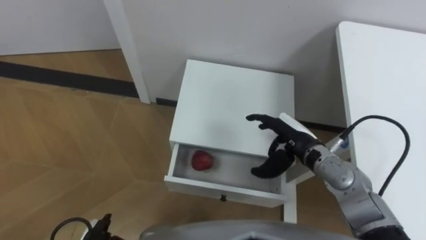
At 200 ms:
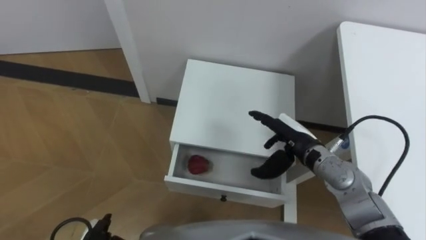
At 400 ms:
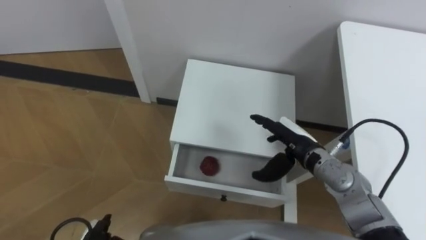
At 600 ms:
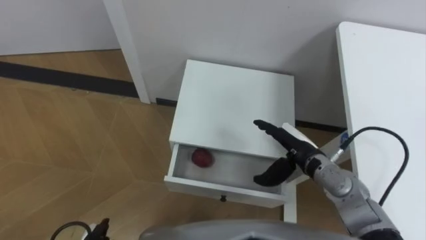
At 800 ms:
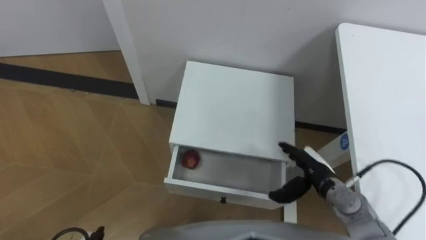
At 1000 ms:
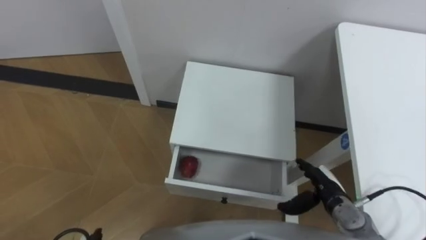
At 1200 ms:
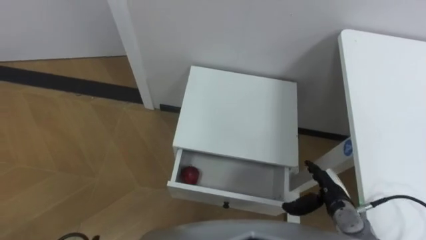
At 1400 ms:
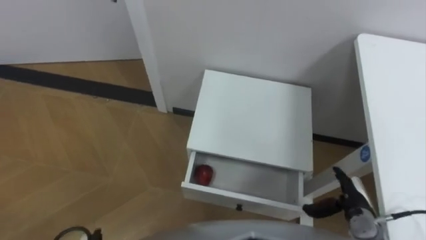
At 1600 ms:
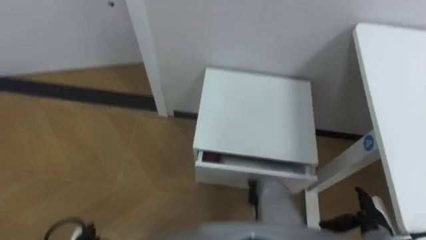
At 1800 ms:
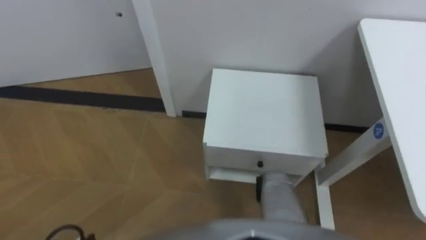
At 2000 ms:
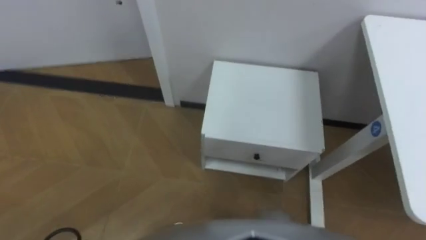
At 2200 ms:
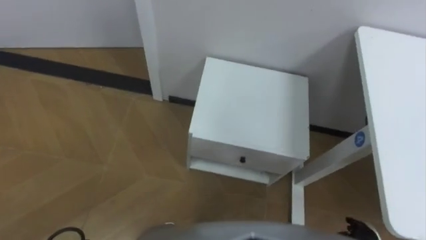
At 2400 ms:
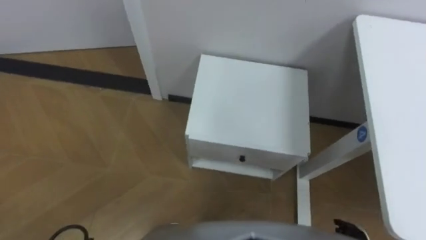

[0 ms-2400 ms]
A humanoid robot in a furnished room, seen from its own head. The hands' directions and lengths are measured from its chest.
Task of the whole recording: Pick up the apple from the table, put it in the drawer, and close the drawer with leg.
0 ms to 1200 ms: The right hand goes roughly 20 cm downward, backward and to the right.

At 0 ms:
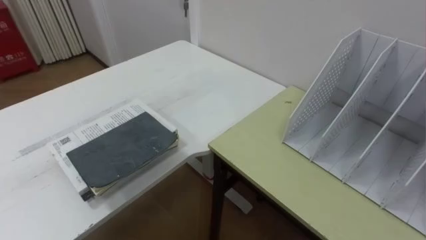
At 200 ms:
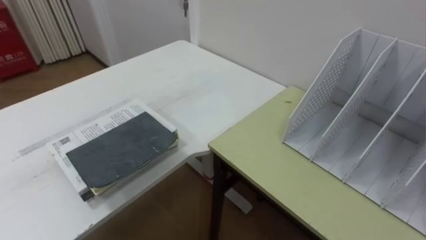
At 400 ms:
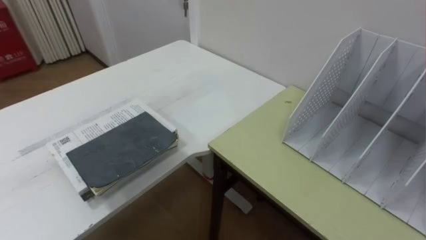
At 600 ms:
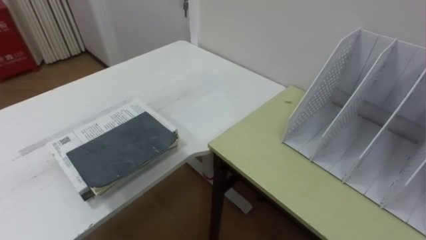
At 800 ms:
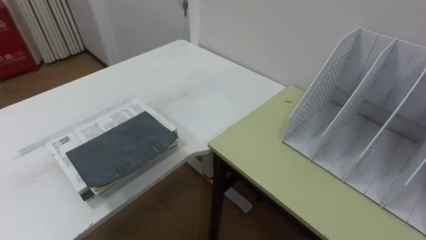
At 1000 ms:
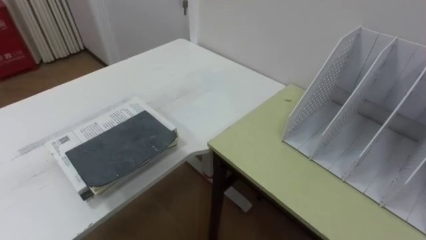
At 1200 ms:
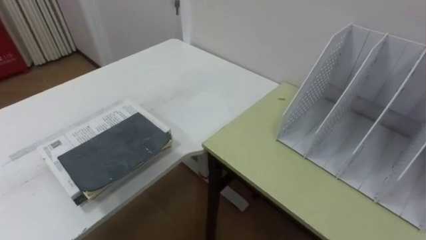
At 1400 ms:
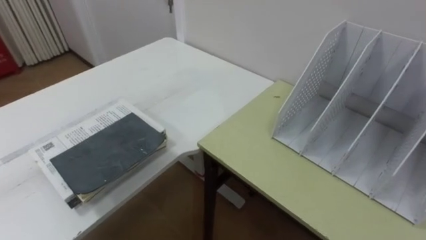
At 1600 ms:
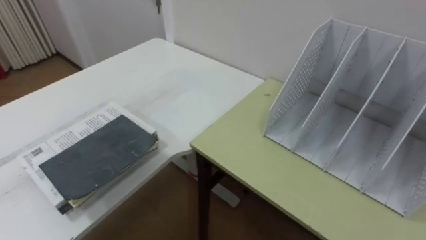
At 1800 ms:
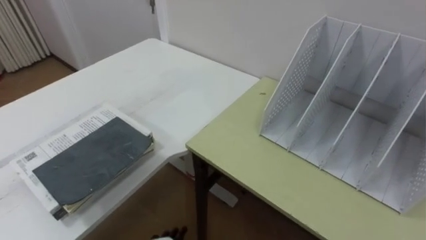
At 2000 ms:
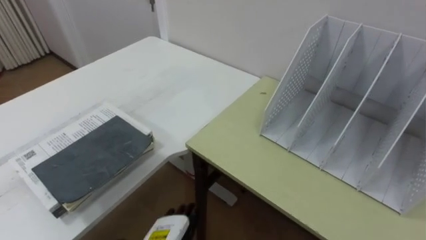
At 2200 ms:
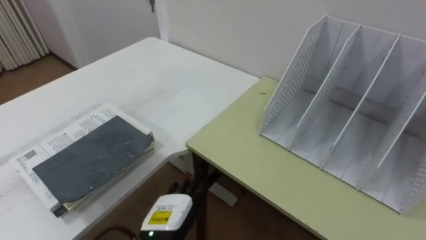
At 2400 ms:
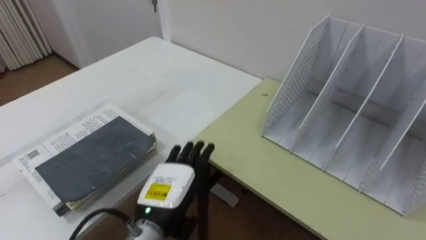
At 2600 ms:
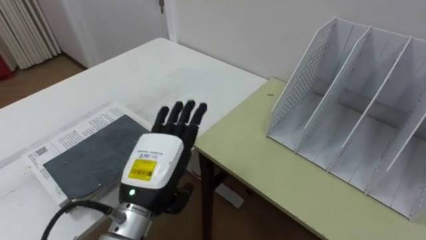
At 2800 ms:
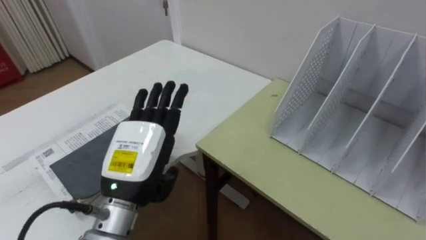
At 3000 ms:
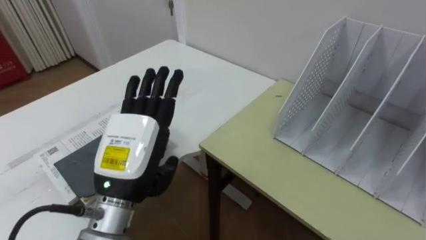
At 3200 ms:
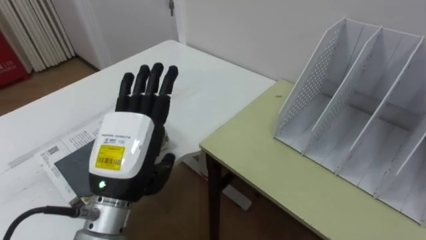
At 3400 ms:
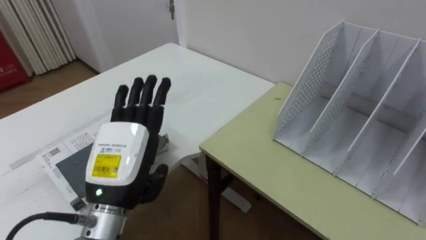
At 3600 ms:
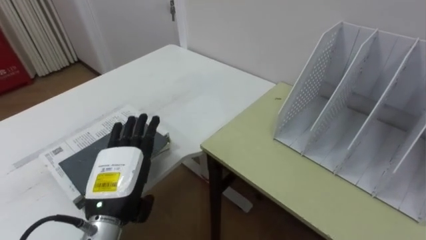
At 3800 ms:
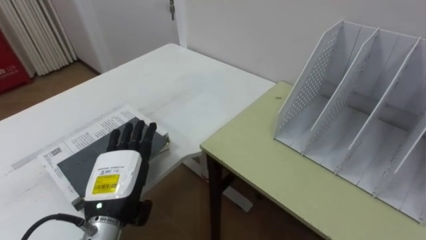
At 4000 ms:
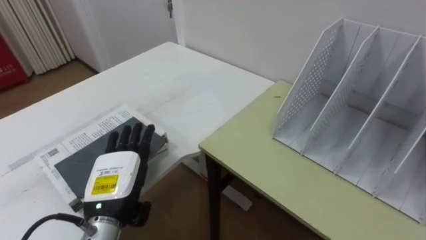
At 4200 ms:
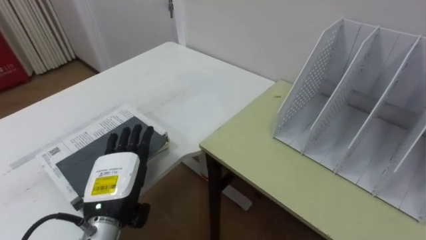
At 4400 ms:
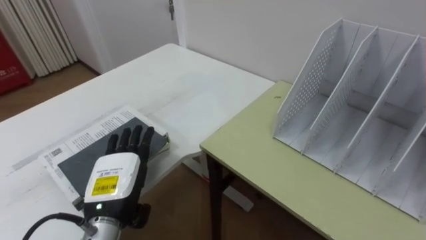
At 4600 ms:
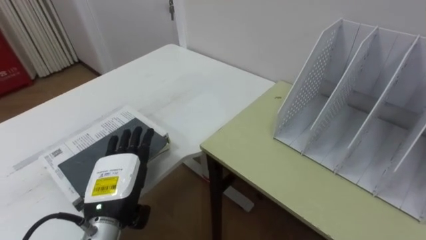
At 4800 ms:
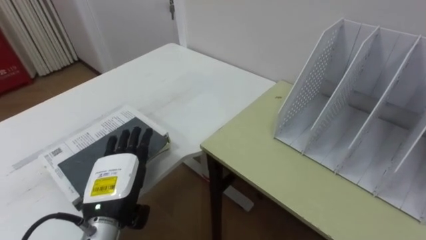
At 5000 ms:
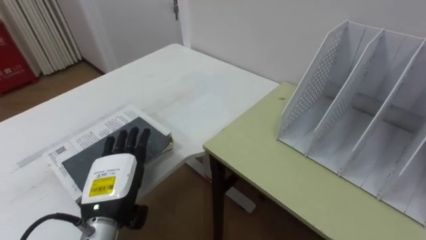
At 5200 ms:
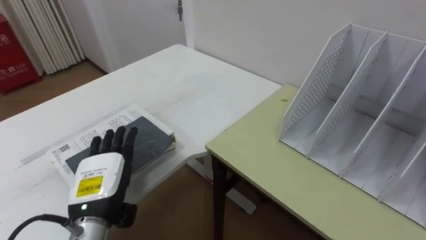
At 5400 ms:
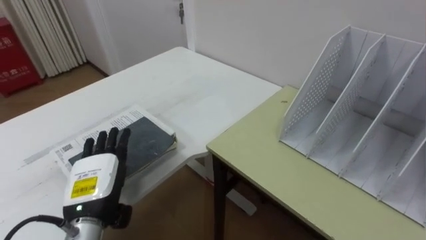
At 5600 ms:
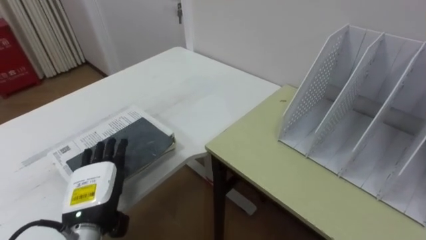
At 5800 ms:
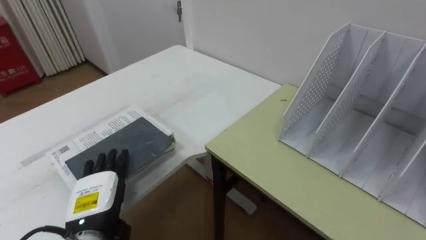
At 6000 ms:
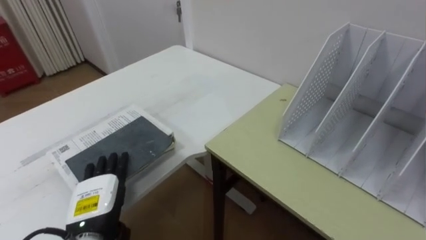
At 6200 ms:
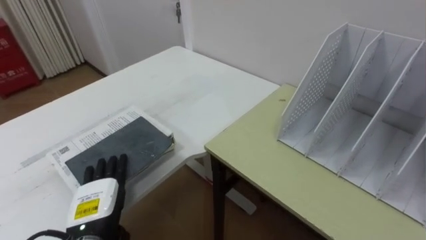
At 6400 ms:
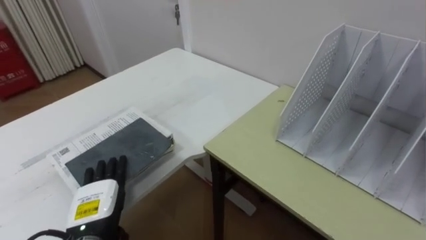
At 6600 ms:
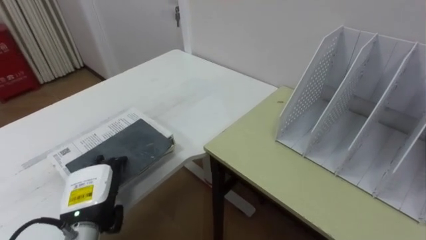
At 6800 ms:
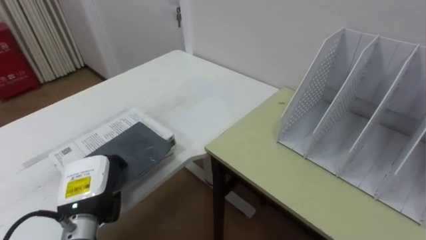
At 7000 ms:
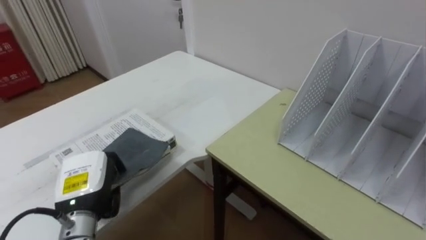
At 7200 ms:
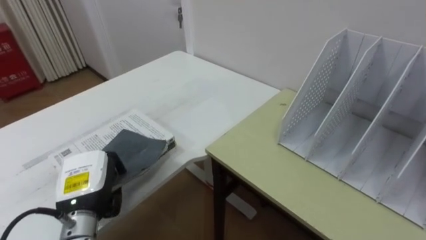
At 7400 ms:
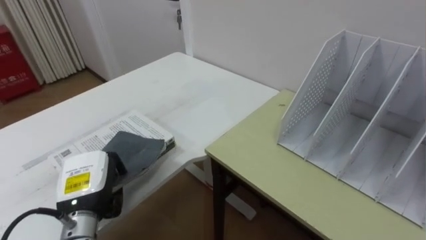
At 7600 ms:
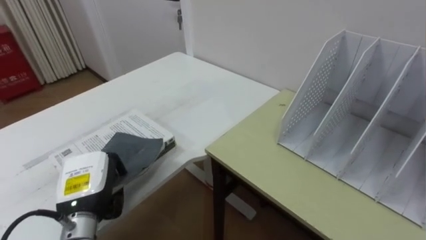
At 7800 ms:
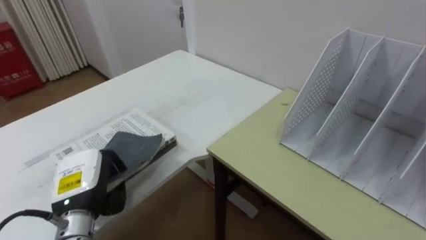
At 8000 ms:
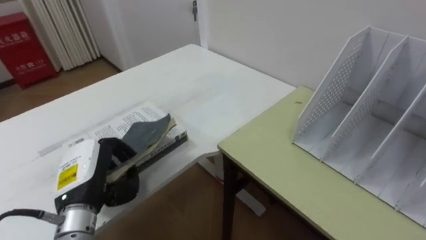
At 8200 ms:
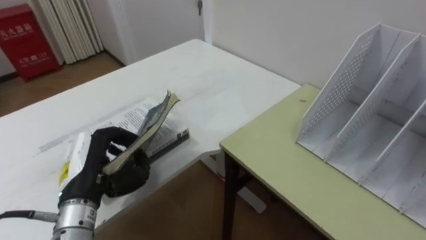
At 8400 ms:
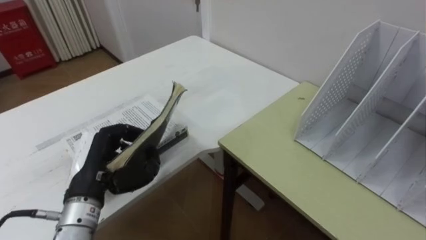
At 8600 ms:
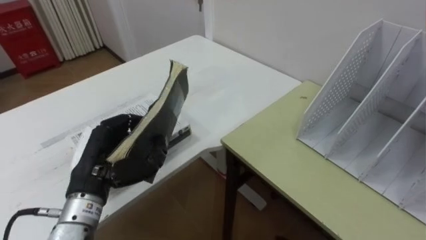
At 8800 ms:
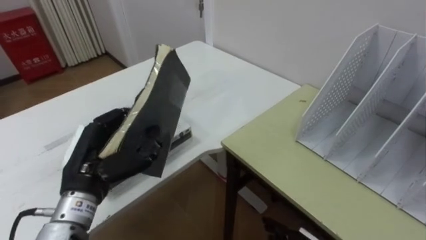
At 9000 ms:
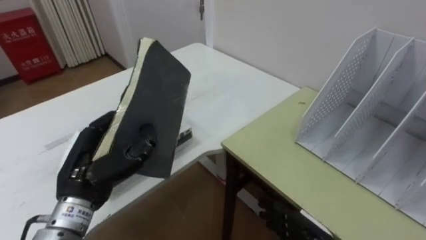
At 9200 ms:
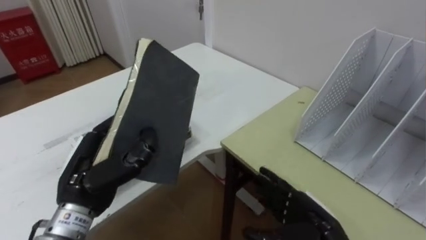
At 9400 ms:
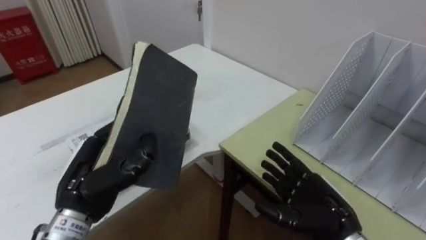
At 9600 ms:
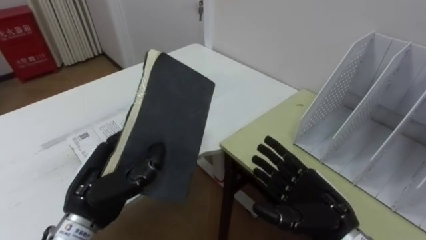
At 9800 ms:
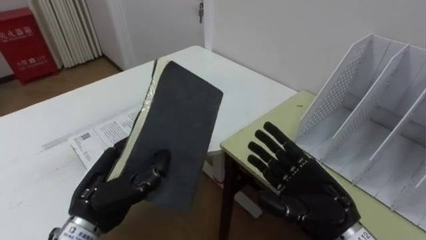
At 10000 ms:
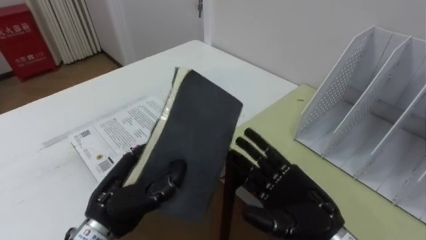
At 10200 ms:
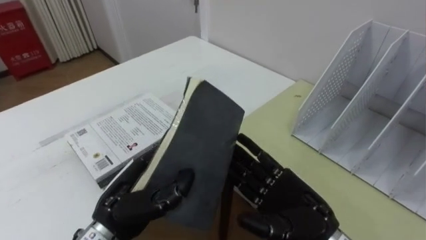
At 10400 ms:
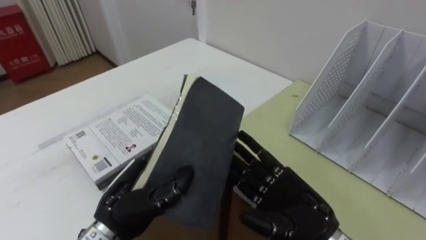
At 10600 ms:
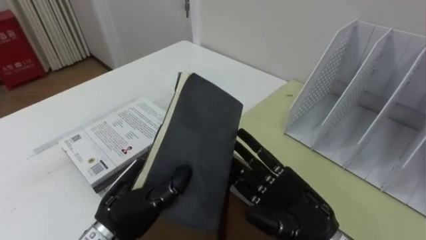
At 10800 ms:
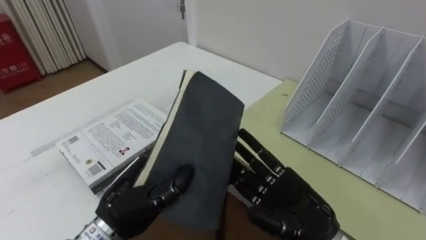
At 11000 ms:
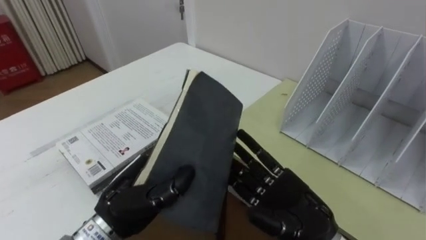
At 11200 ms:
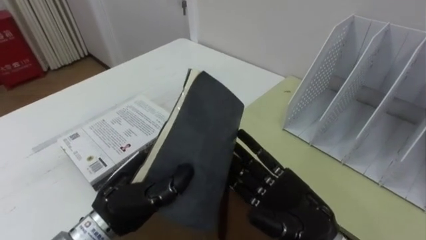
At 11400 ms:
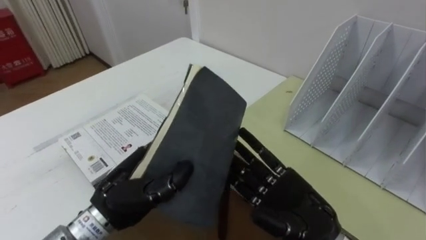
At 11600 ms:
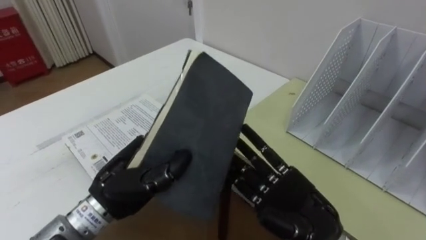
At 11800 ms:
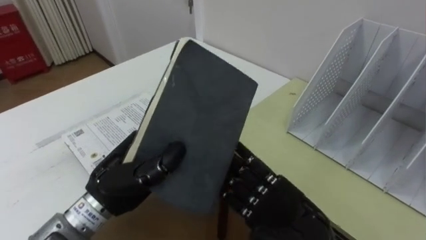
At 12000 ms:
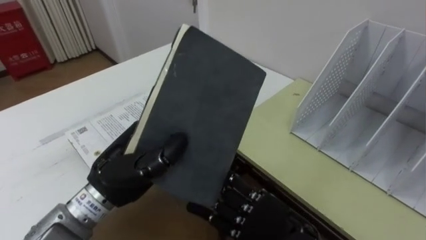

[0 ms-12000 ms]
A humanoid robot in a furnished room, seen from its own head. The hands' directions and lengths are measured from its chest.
Task of the whole recording: Put the books on the table onto the bookshelf.
3000 ms to 4400 ms: The left hand goes approximately 10 cm downward.
4400 ms to 6000 ms: The left hand changes place by some 5 cm.
6000 ms to 7600 ms: The left hand closes.
7600 ms to 9000 ms: The left hand goes about 5 cm upward.
9000 ms to 10400 ms: The right hand shifts approximately 10 cm upward. Meanwhile the left hand goes approximately 5 cm to the right.
10400 ms to 12000 ms: The left hand shifts some 5 cm upward. Meanwhile the right hand changes place by about 5 cm.

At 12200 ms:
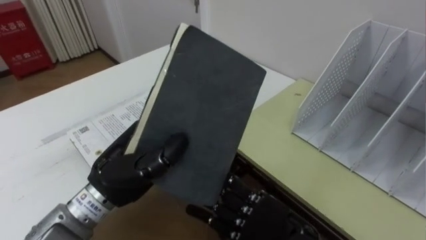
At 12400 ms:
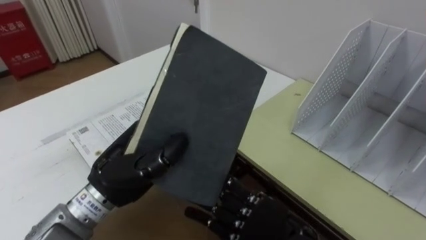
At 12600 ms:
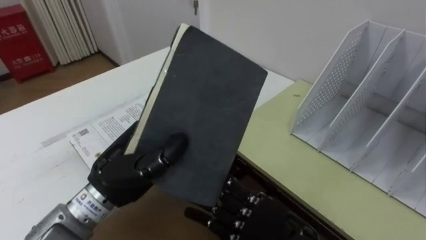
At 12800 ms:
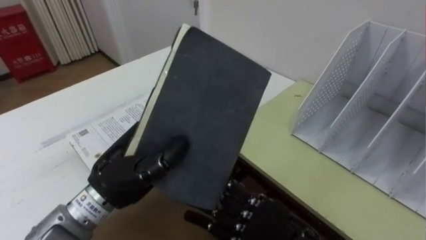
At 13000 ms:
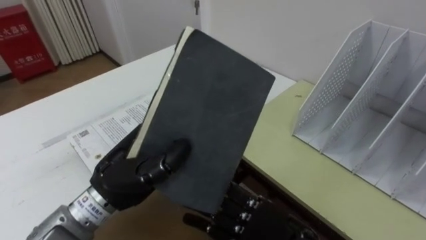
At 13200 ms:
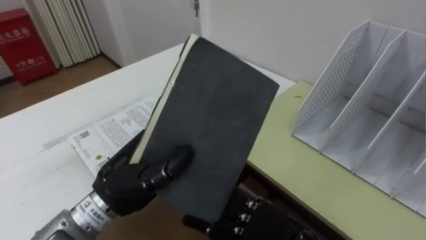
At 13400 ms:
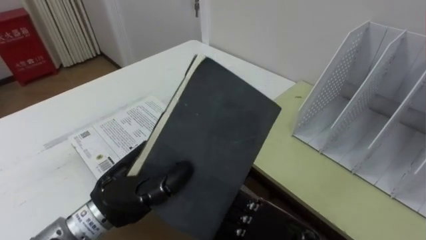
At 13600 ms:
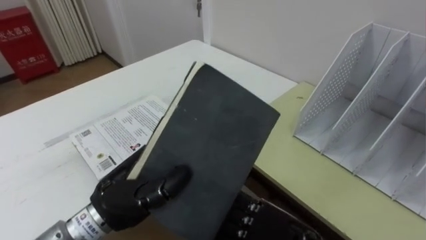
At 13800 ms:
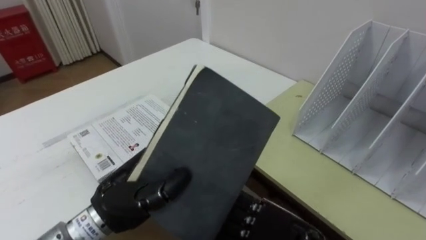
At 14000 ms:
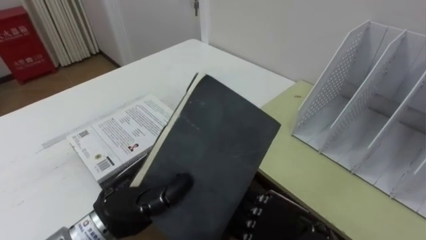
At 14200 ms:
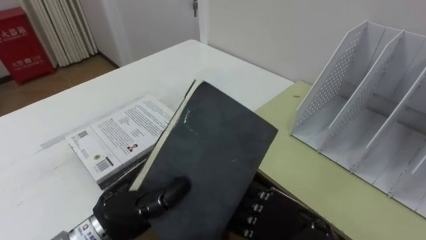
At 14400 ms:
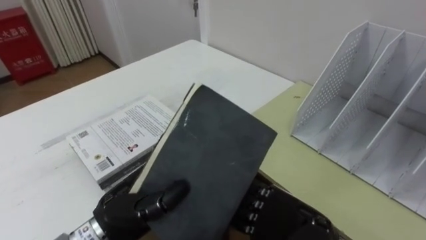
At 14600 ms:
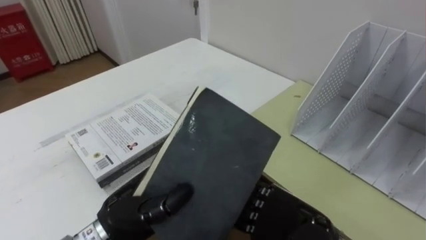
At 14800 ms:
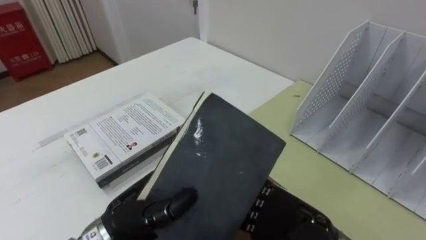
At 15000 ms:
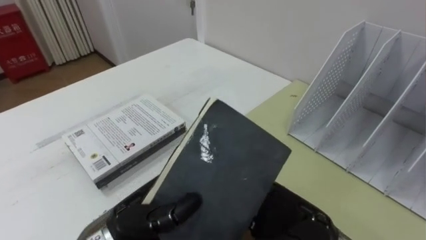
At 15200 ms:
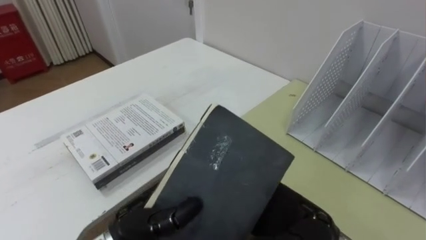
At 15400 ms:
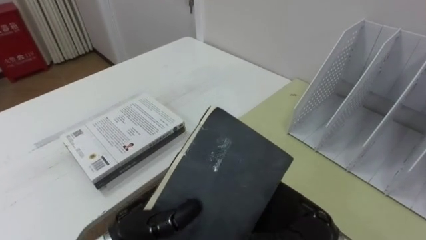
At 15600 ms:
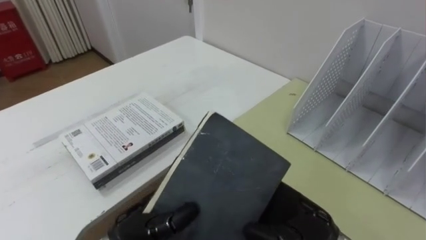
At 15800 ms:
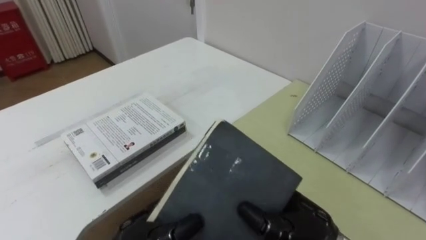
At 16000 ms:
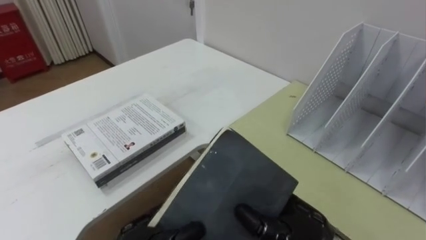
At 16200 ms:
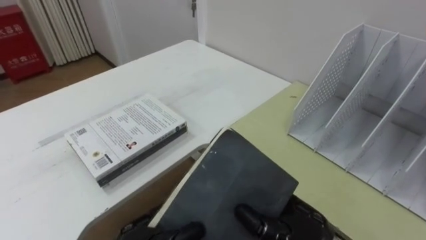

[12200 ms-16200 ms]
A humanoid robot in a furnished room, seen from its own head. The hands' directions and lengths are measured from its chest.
Task of the whole recording: Put the books on the table onto the bookshelf.
13600 ms to 14800 ms: There are only small adjustments of the hands.
14800 ms to 16200 ms: The right hand closes its fingers.